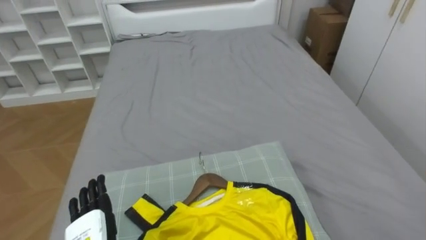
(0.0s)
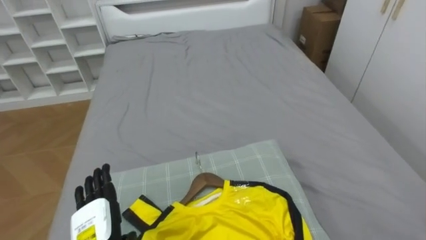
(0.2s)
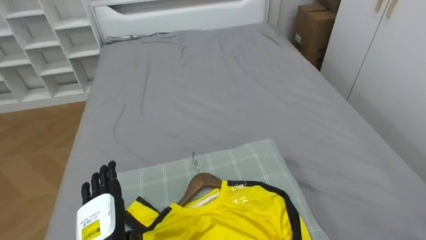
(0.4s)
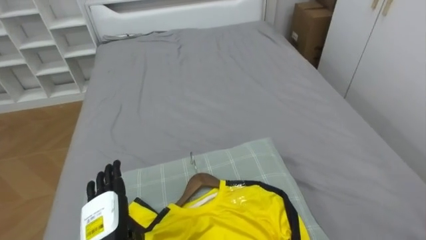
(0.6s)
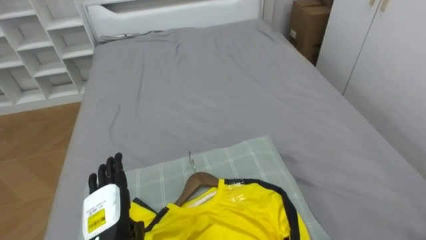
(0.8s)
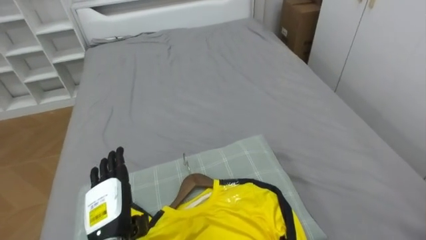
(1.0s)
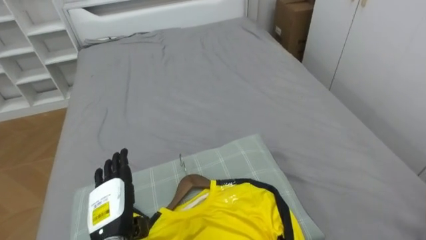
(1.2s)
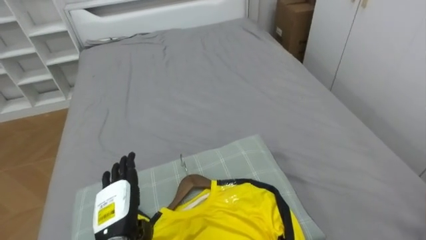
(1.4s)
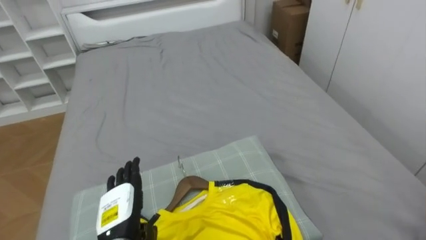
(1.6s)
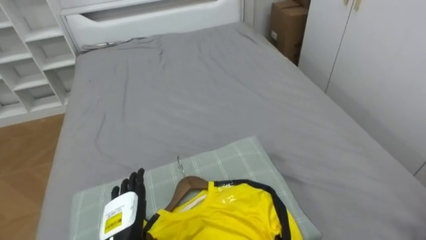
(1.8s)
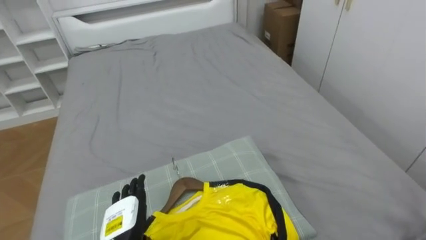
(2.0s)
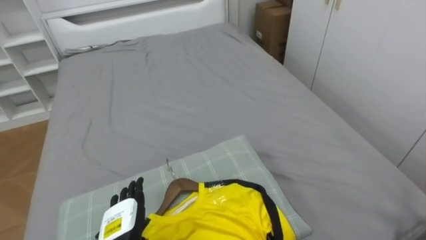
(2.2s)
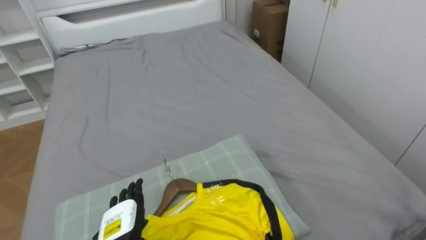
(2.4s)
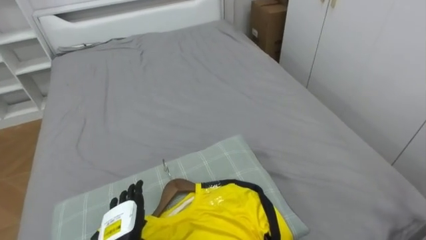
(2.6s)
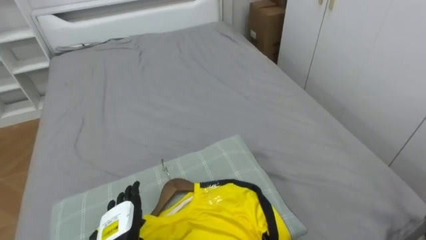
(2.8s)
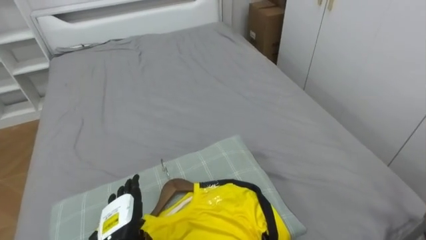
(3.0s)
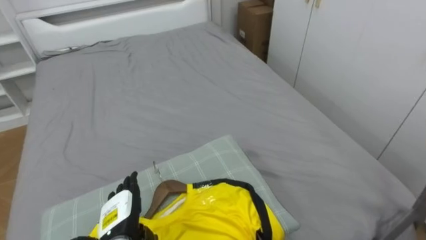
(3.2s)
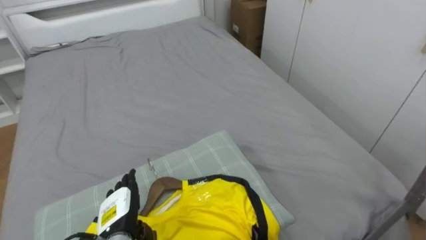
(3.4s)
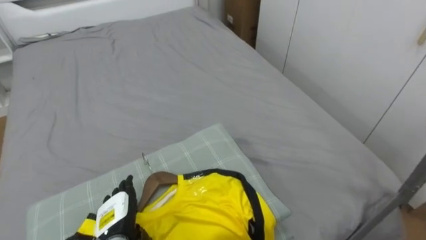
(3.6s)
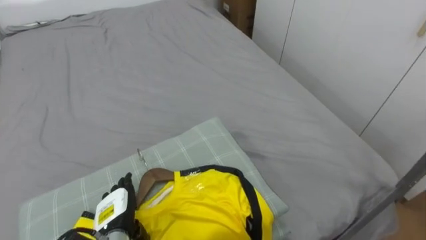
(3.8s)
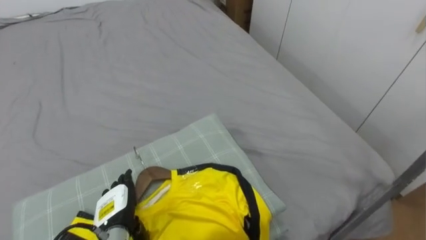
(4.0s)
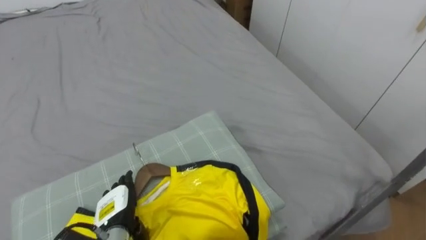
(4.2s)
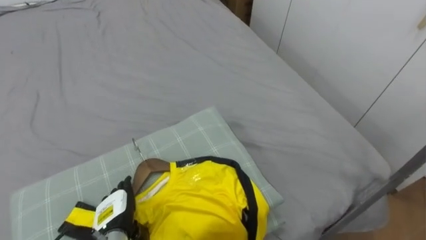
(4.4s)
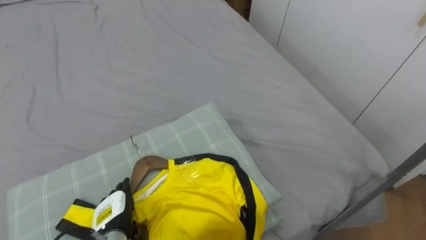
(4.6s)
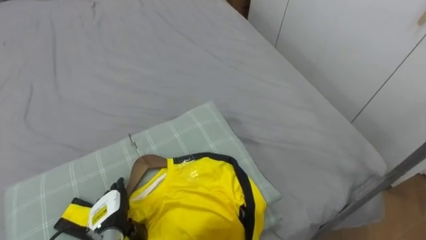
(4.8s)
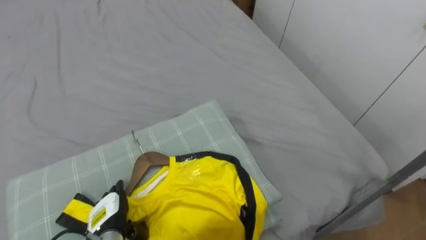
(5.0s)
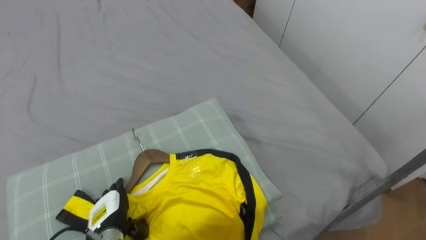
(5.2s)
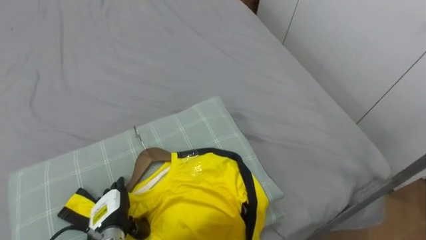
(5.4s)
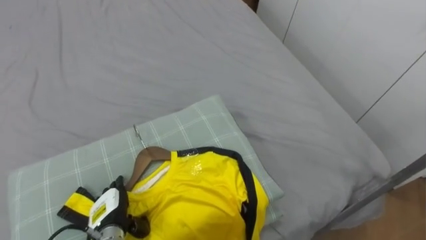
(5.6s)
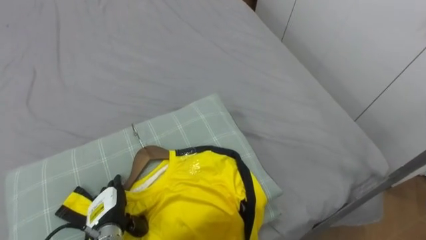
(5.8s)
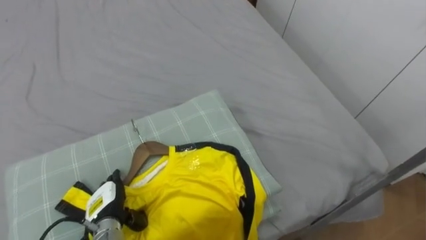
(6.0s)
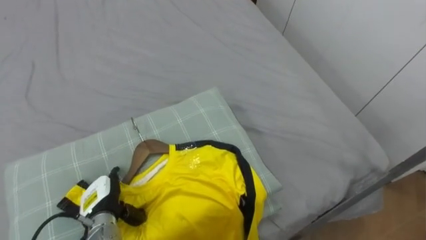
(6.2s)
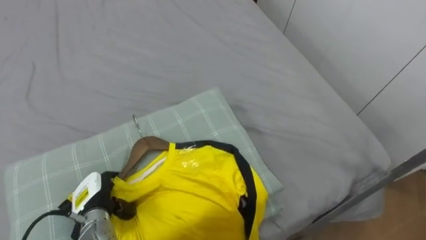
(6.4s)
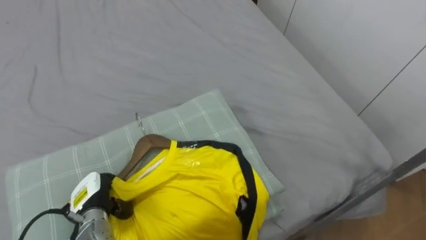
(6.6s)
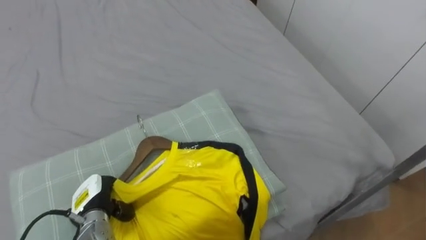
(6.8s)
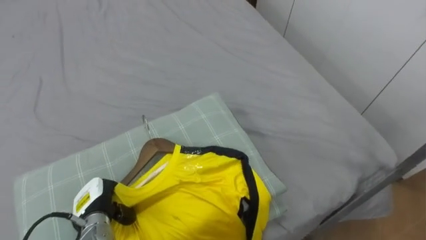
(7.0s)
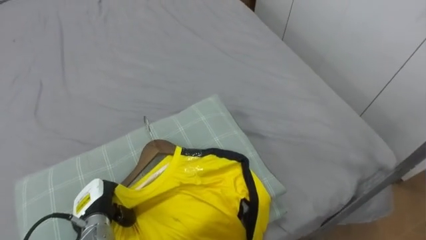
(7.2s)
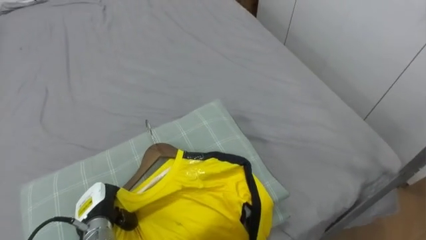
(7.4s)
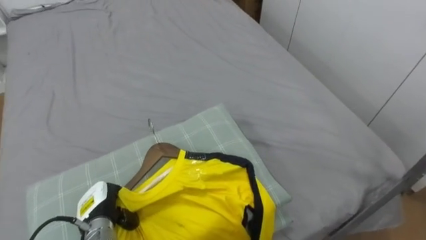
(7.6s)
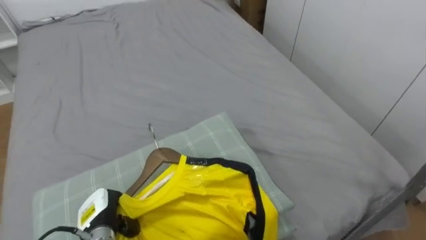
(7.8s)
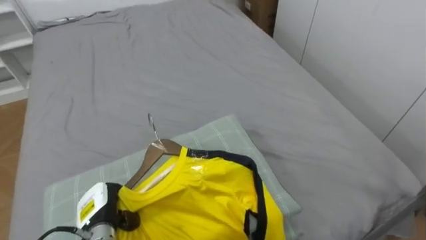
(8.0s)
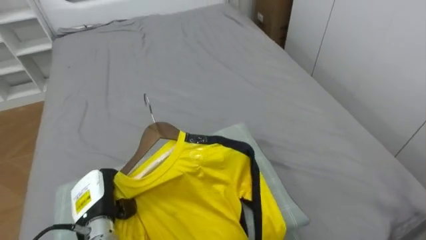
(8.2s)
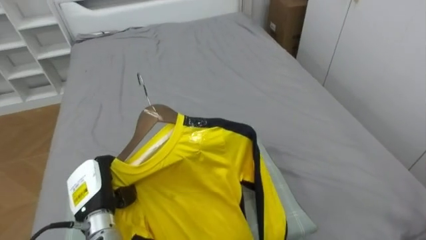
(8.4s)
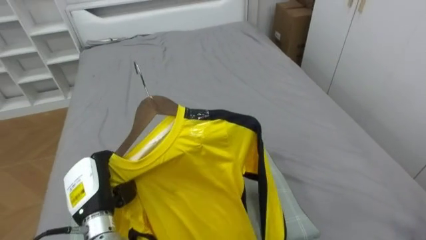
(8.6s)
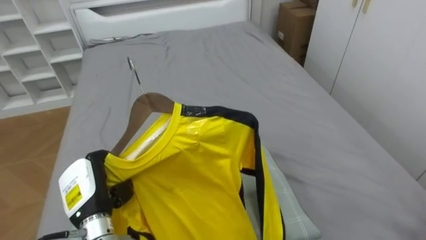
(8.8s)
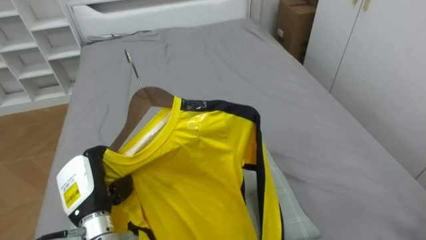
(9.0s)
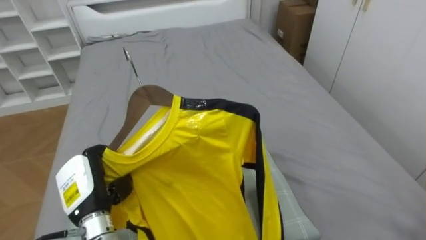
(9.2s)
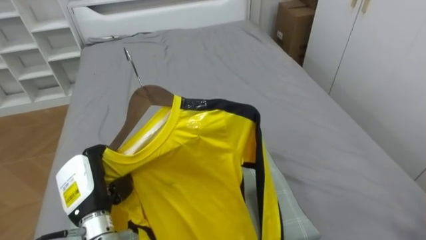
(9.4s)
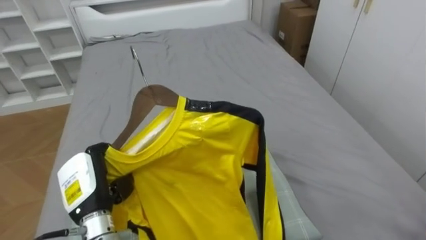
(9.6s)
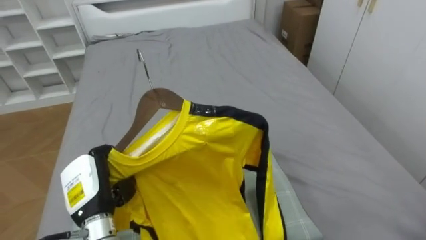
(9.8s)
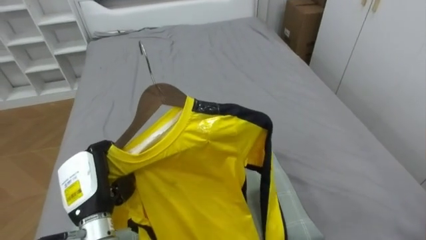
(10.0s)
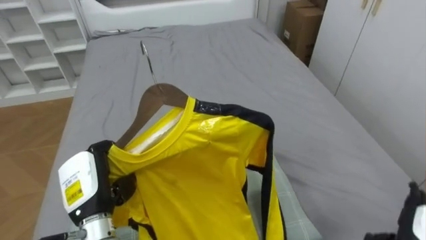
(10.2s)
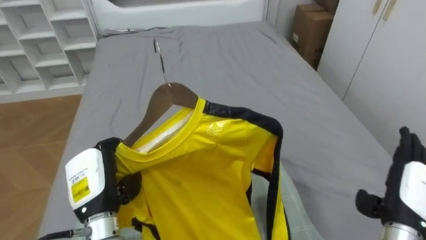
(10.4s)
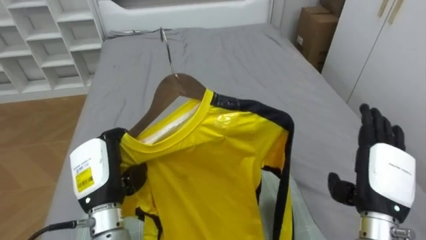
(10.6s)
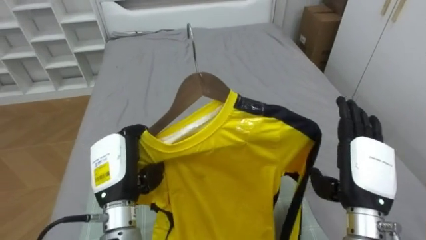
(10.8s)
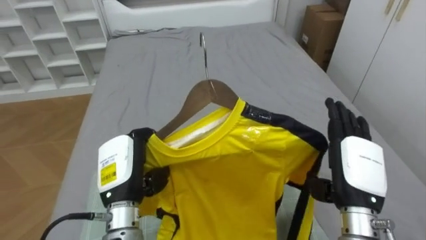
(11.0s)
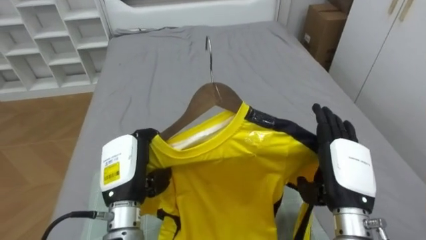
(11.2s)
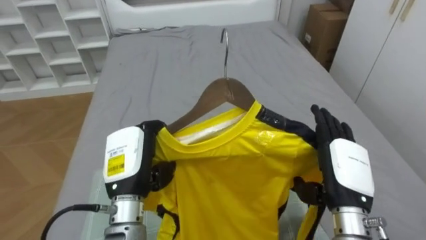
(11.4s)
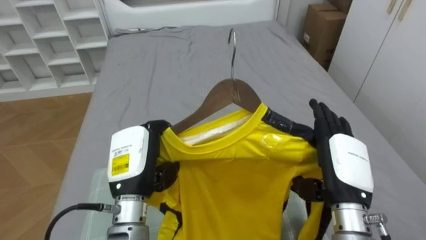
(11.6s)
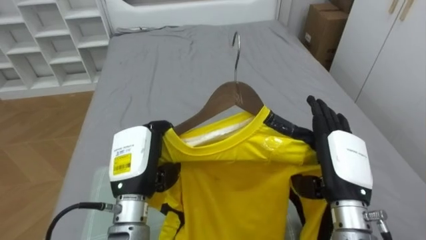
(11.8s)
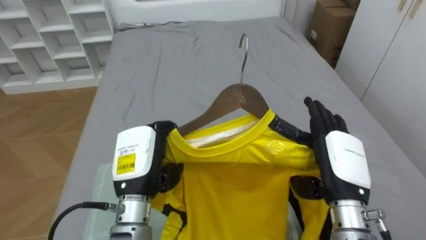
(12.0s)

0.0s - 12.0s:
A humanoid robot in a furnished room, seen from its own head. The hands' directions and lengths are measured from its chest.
Task of the whole recording: Pick up the yellow shirt on the bed and hang it on the clothes rack on the right.
6.0s - 7.6s: The left hand closes up.
7.6s - 9.0s: The left hand shifts some 10 cm upward.
10.4s - 12.0s: The right hand travels to the left and upward by some 15 cm, while the left hand heads to the right, covering about 10 cm.

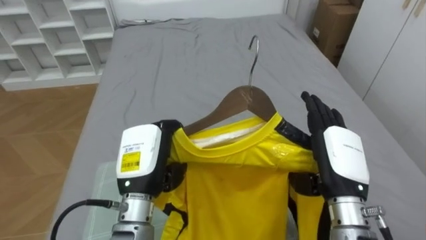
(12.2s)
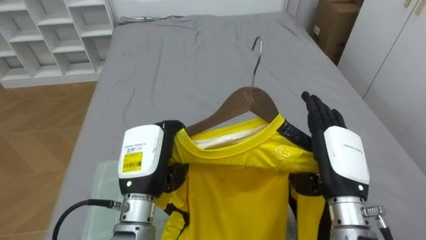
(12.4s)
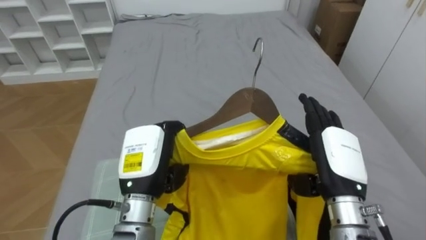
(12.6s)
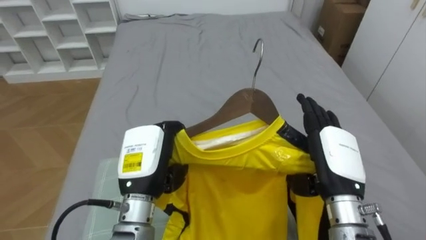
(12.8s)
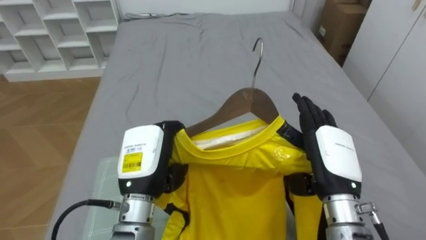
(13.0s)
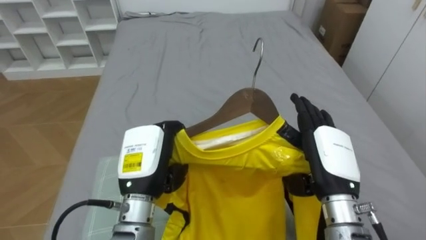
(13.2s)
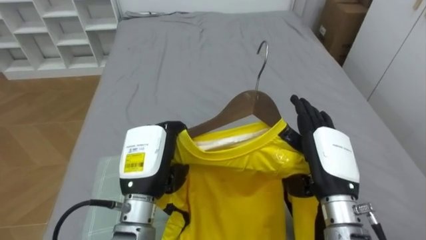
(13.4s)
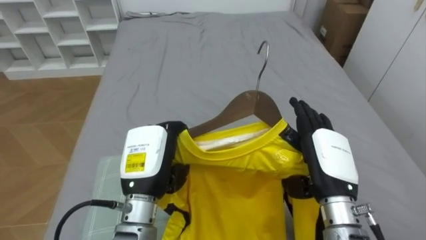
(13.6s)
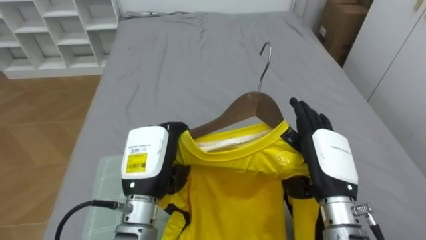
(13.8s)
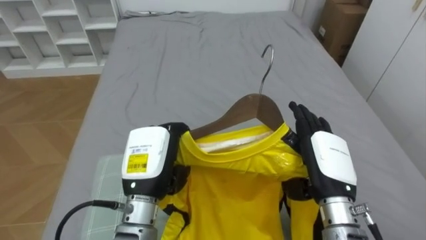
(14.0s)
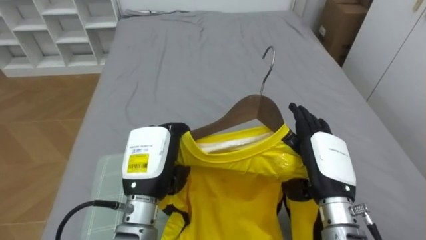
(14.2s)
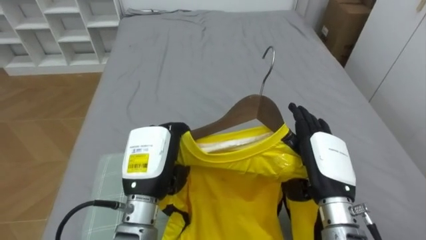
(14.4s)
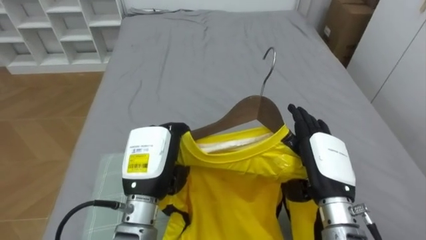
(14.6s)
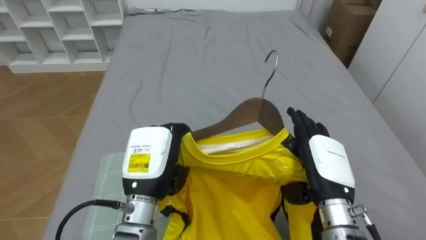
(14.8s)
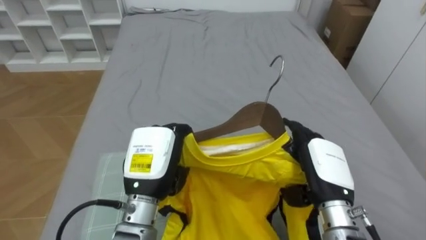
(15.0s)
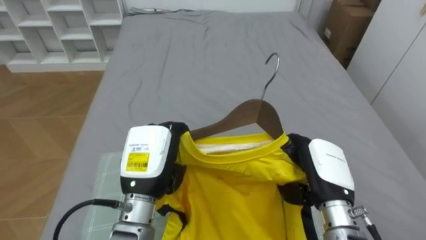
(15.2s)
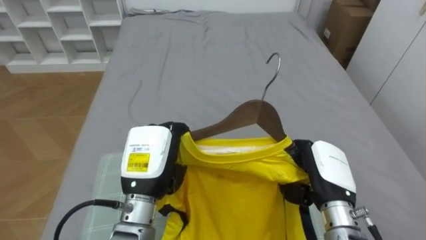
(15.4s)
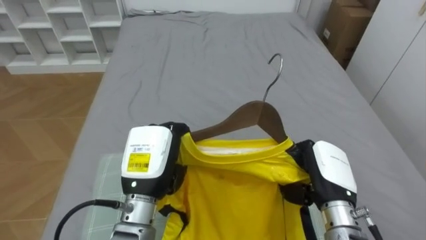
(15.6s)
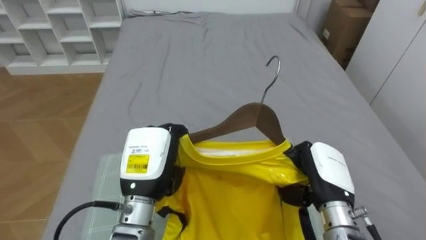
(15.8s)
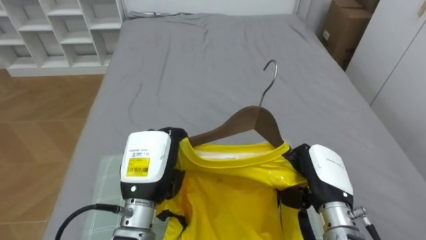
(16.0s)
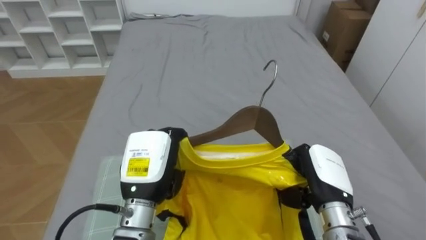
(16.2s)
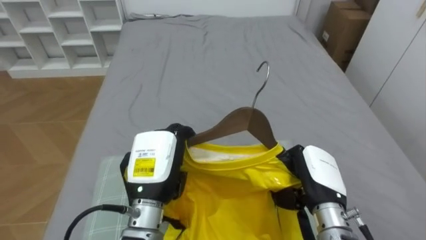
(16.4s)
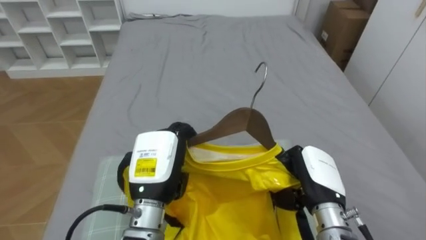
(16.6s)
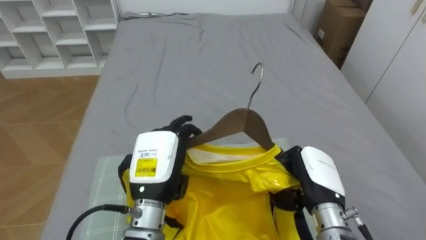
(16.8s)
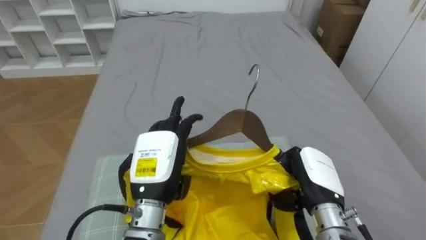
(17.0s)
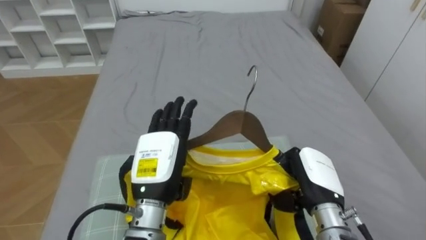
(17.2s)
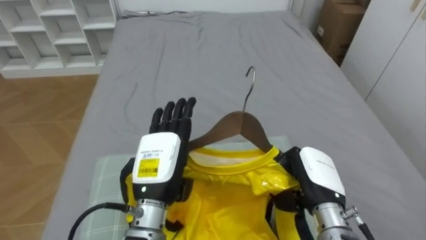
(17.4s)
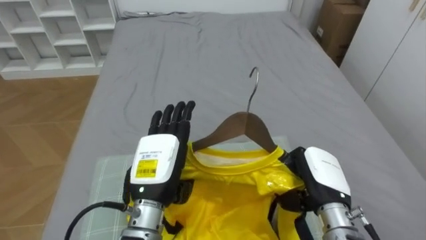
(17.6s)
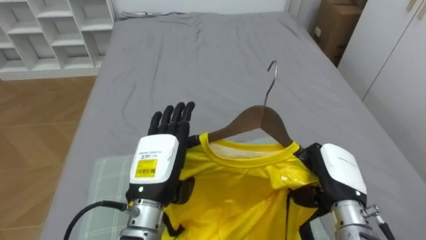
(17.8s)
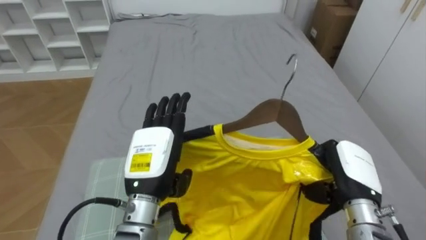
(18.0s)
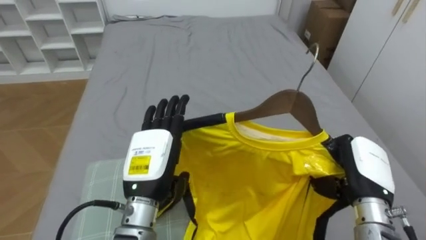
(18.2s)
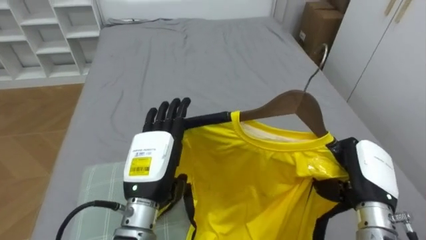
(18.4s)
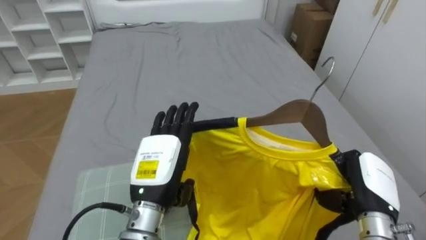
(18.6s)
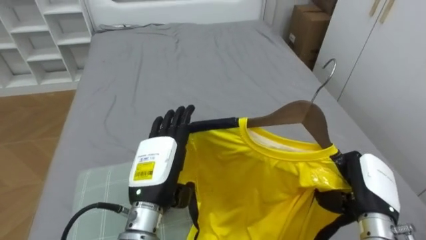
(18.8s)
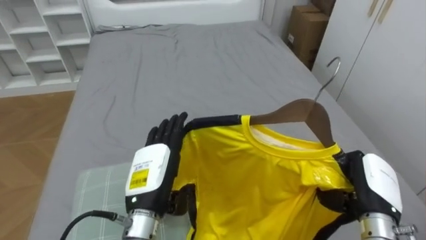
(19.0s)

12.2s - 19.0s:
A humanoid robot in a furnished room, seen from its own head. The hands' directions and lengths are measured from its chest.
Task of the whole recording: Pick up the yellow shirt on the bed and hang it on the clothes rack on the right.
15.0s - 16.2s: The right hand closes up.
16.2s - 17.6s: The left hand opens.
17.6s - 19.0s: The right hand heads to the right, covering some 10 cm.
